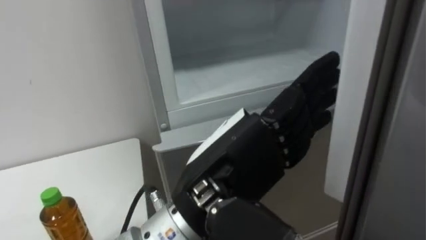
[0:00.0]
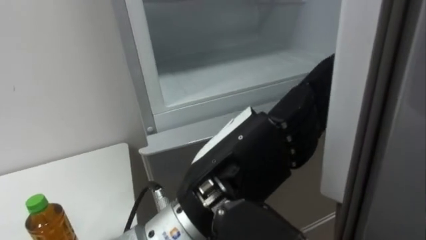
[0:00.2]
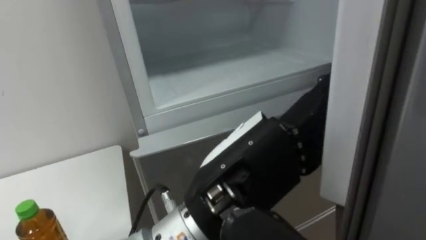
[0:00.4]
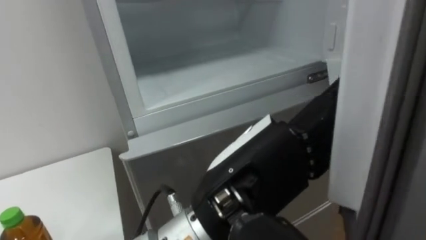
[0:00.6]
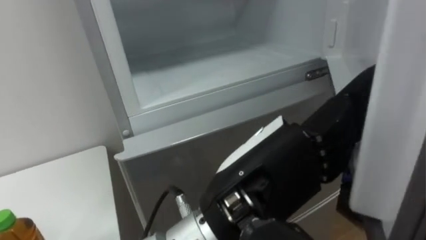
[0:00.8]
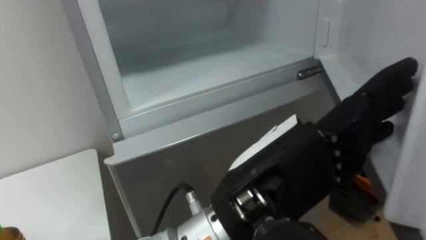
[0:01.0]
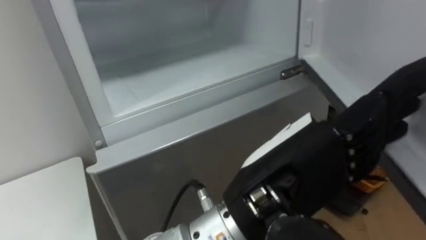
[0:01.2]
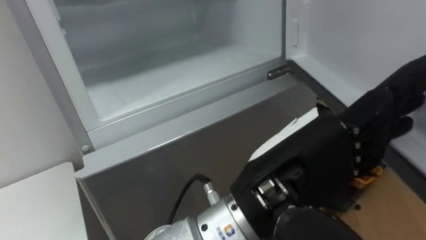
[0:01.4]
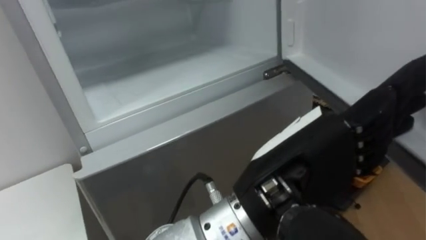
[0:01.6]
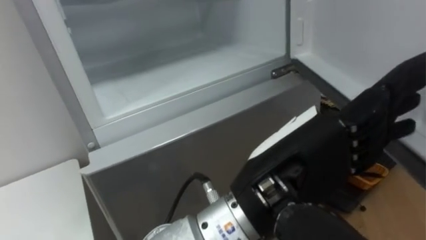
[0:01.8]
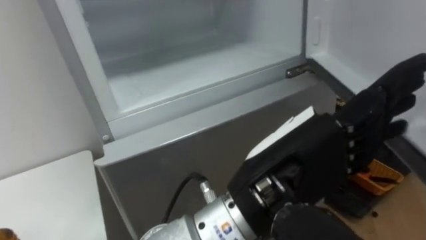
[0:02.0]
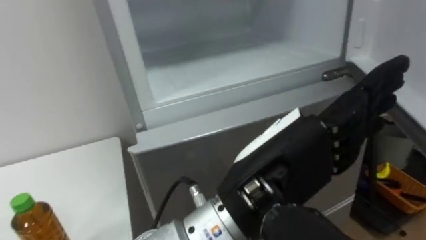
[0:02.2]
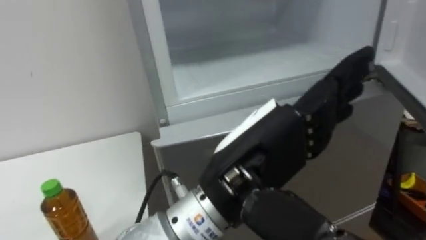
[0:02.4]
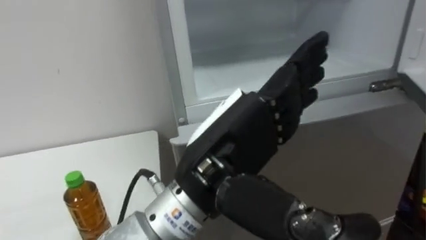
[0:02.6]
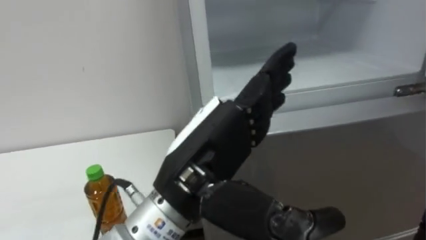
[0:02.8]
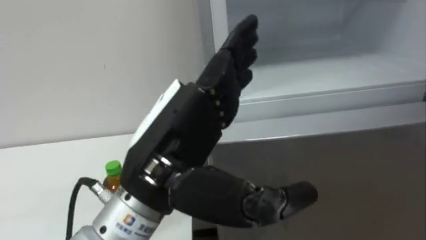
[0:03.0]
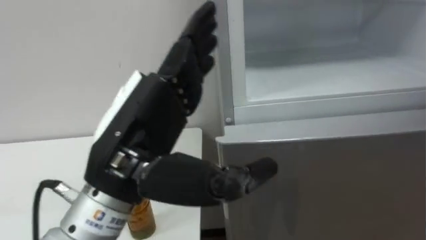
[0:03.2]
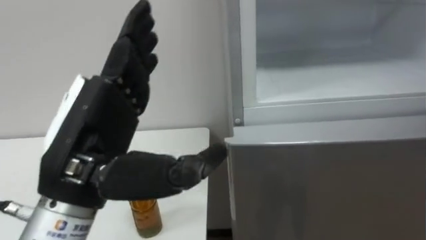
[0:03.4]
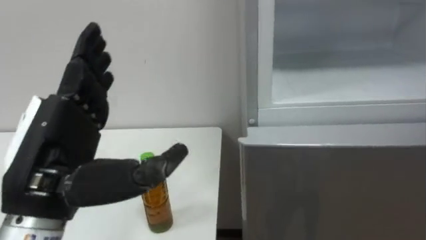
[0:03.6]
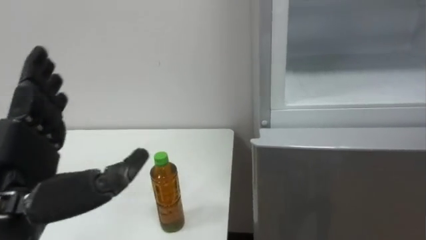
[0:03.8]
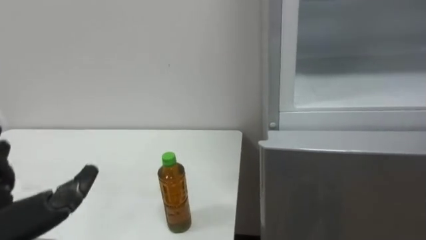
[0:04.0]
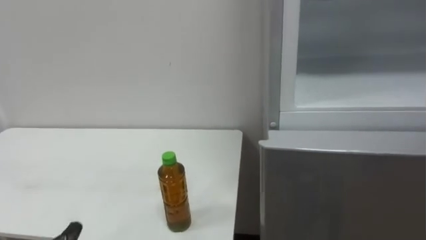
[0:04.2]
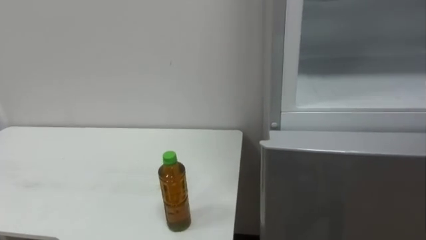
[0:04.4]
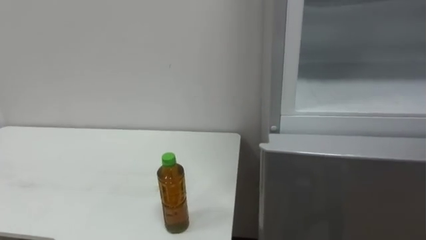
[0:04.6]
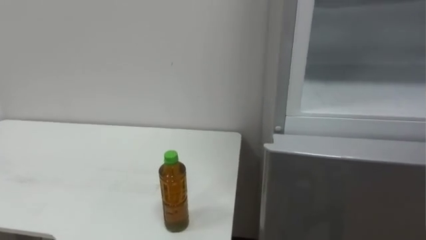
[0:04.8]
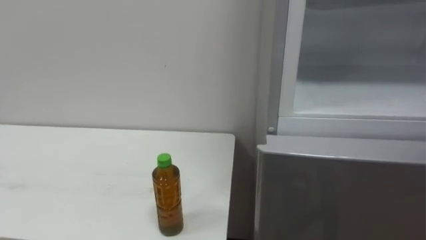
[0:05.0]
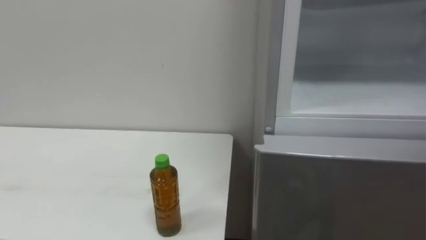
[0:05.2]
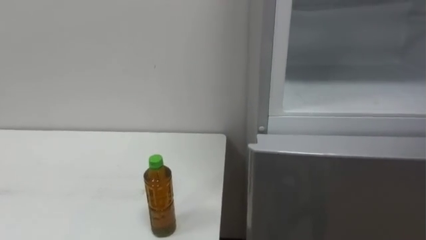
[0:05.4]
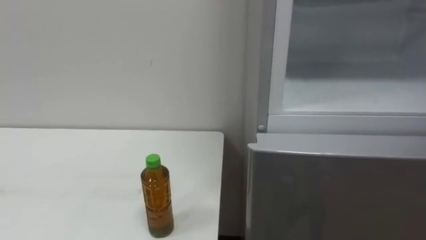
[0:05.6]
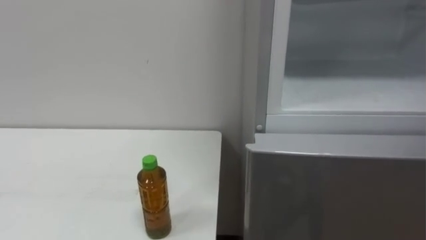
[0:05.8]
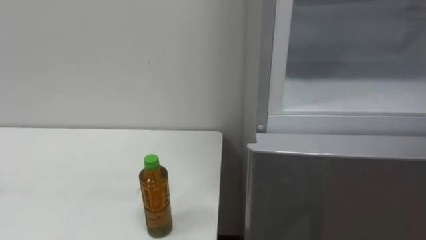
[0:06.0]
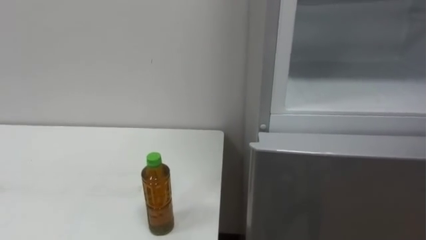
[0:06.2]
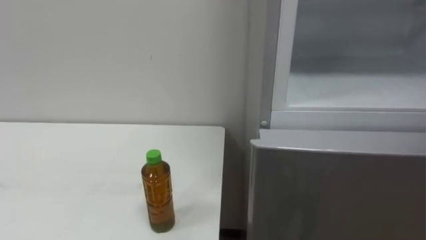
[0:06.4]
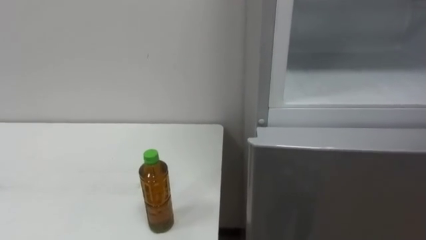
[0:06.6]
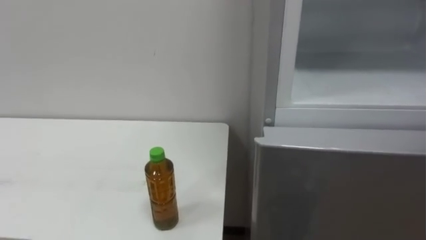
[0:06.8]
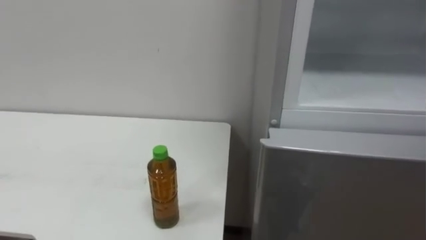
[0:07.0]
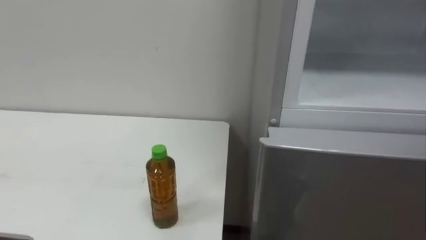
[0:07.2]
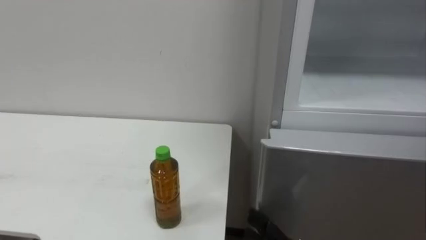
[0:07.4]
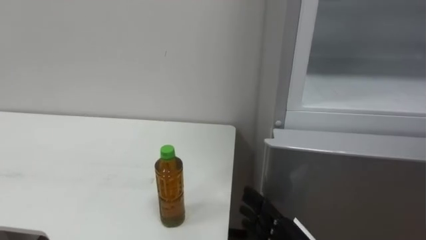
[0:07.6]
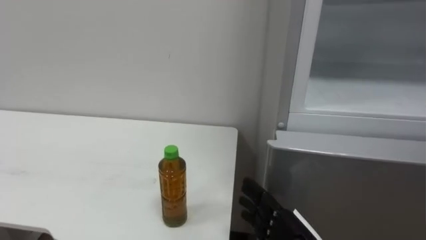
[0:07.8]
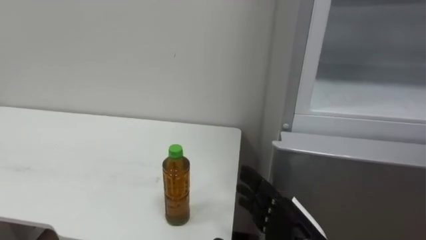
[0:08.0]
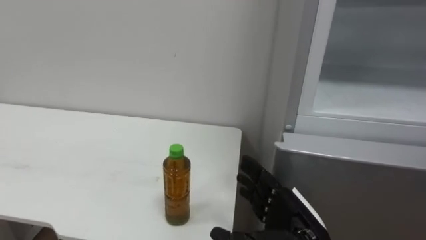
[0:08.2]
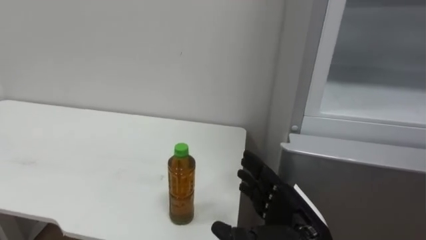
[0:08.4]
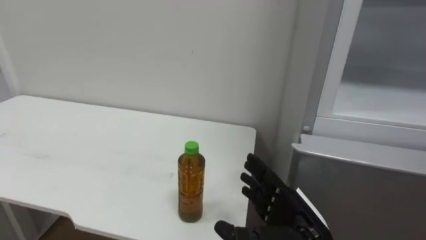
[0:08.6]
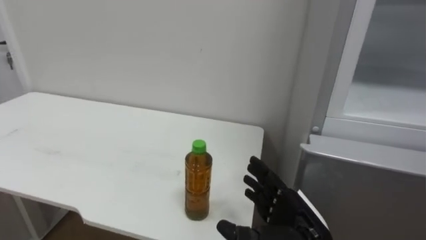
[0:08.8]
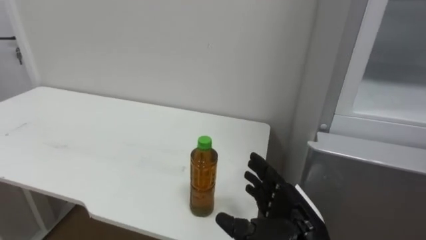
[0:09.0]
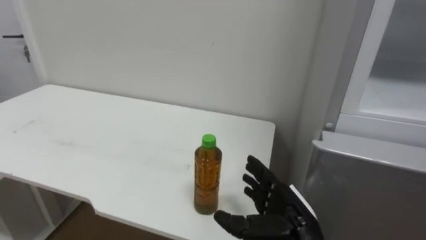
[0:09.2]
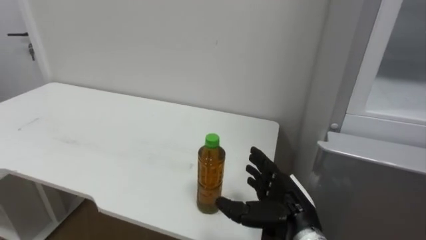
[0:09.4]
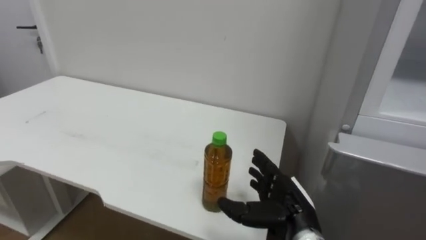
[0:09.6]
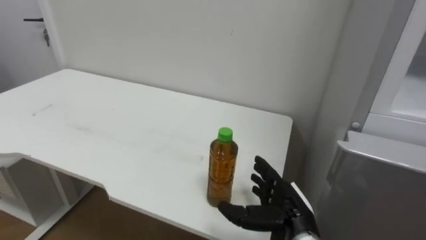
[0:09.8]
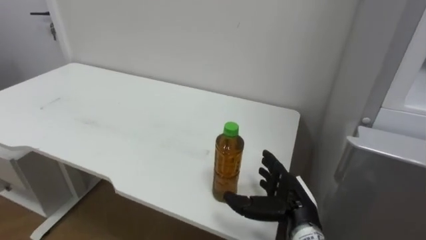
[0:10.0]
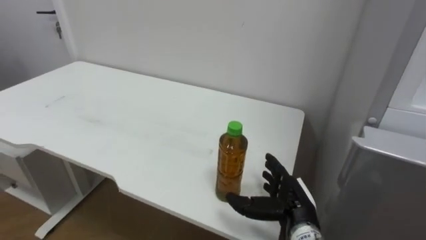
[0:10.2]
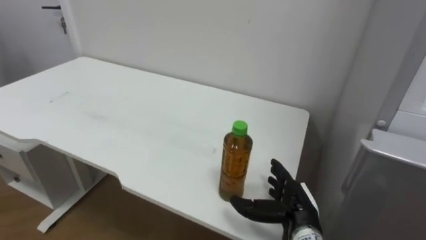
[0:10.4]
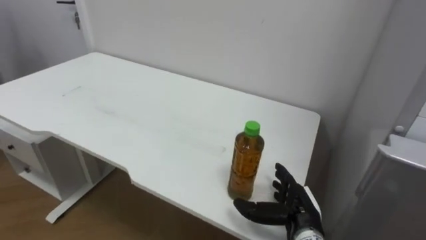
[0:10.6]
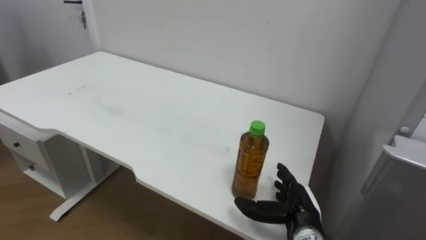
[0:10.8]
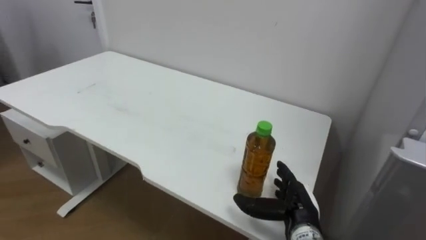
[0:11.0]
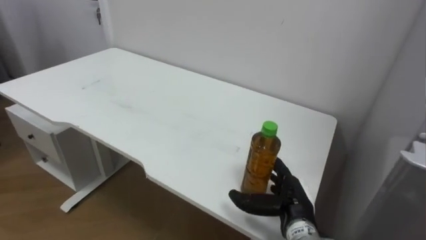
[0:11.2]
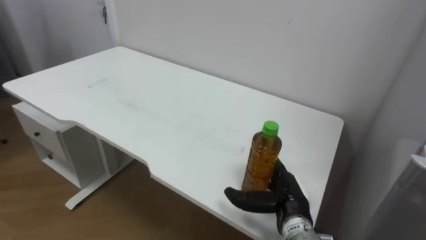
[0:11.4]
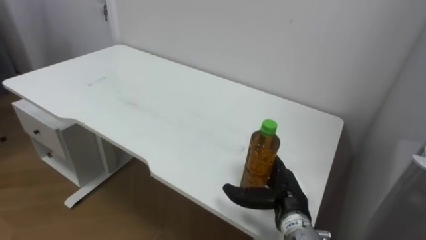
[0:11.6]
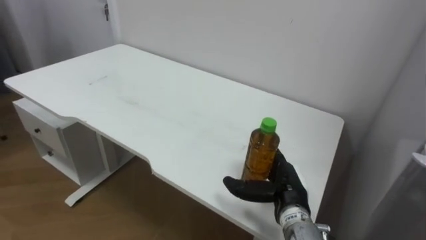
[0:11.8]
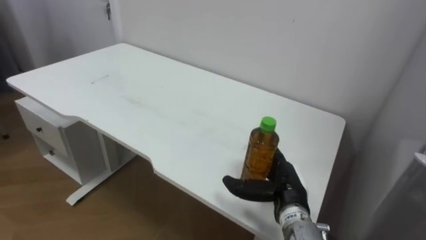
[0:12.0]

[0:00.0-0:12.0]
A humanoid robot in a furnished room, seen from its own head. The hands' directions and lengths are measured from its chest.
Task of the whole recording: Open the upper refrigerator door, put the drink from the table into the refrigerator, and then close the refrigerator door.
0:00.0 to 0:01.6: The left hand goes about 5 cm to the right.
0:01.6 to 0:03.0: The left hand is displaced to the left by approximately 10 cm.
0:09.0 to 0:10.4: The right hand travels forward by approximately 5 cm.

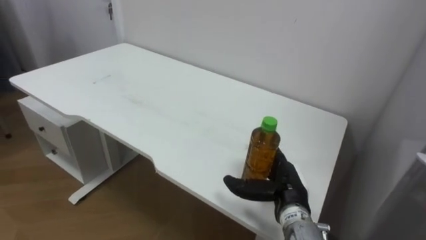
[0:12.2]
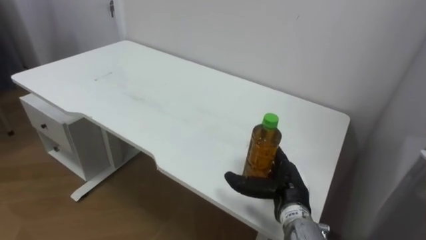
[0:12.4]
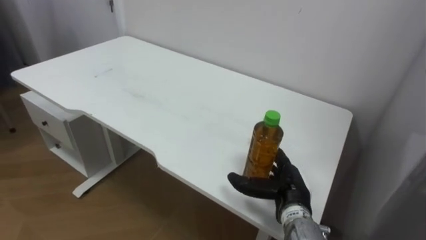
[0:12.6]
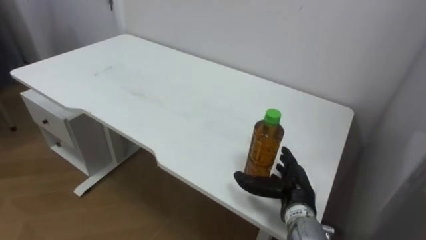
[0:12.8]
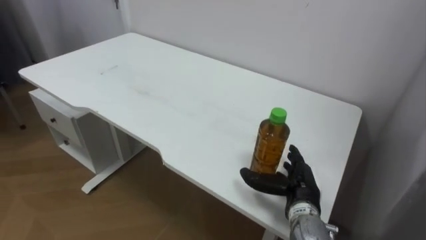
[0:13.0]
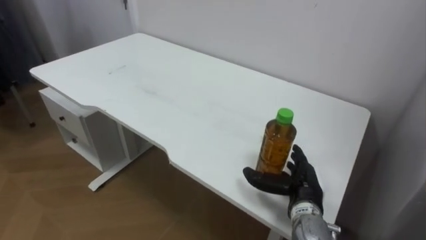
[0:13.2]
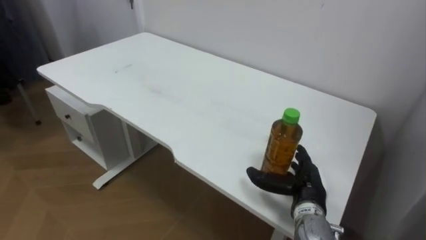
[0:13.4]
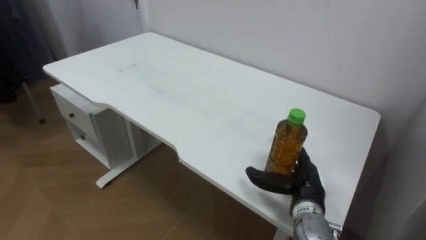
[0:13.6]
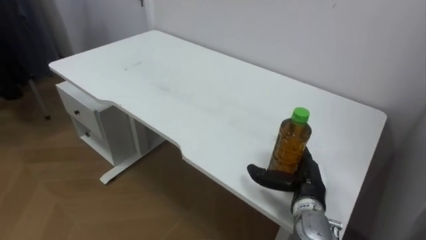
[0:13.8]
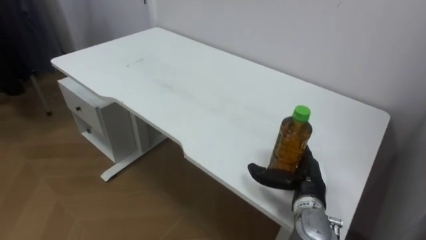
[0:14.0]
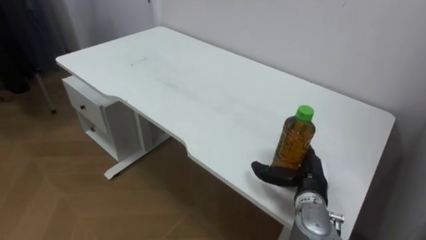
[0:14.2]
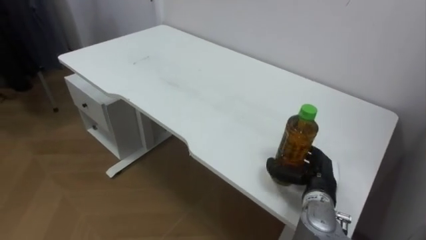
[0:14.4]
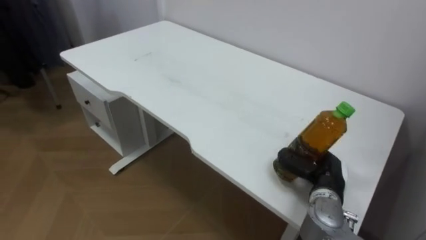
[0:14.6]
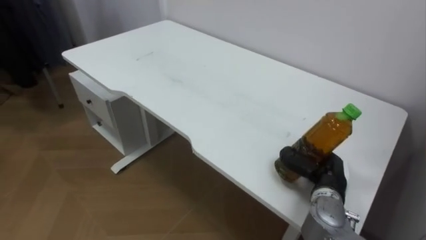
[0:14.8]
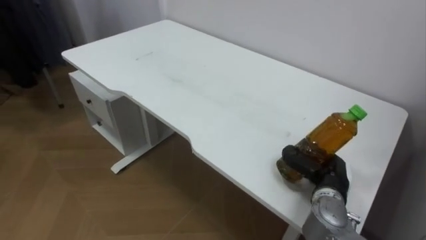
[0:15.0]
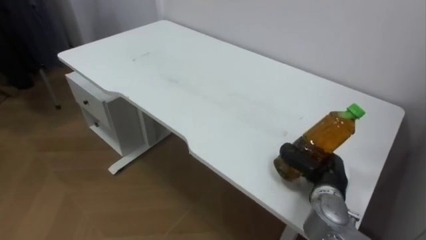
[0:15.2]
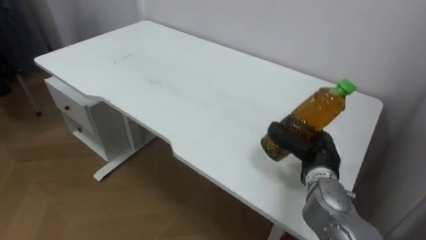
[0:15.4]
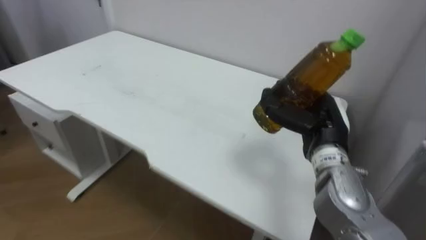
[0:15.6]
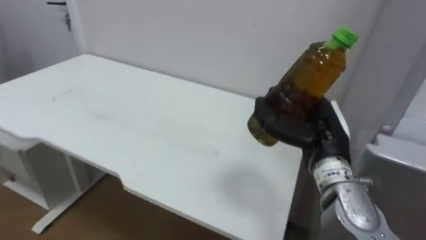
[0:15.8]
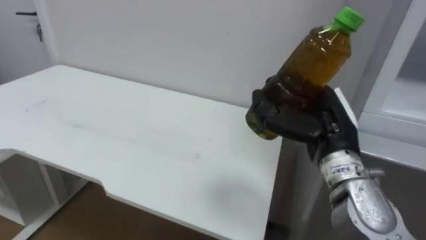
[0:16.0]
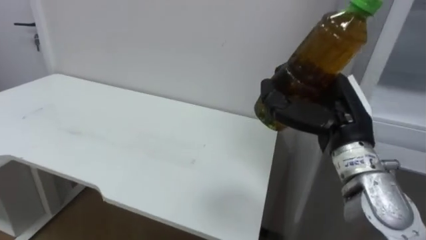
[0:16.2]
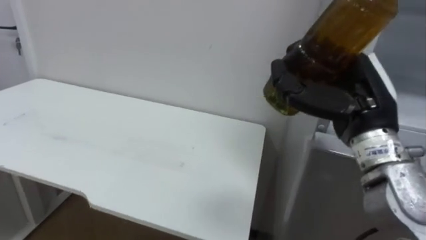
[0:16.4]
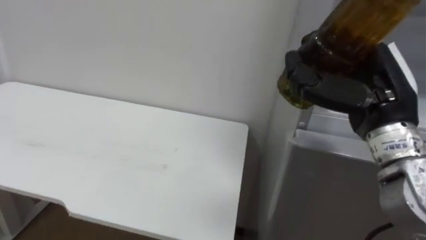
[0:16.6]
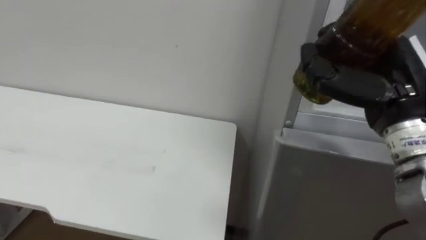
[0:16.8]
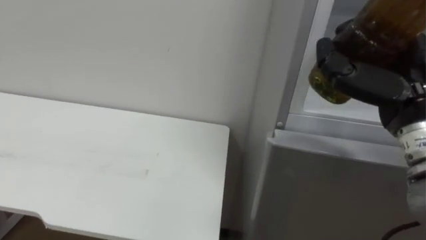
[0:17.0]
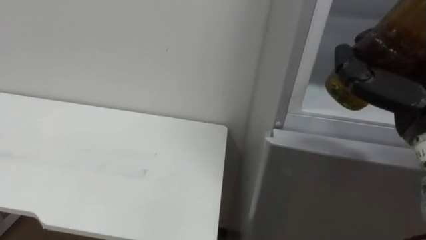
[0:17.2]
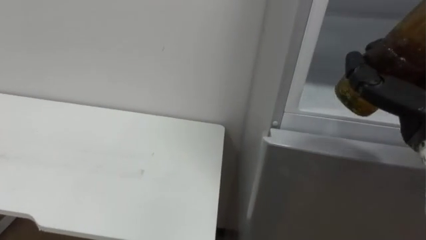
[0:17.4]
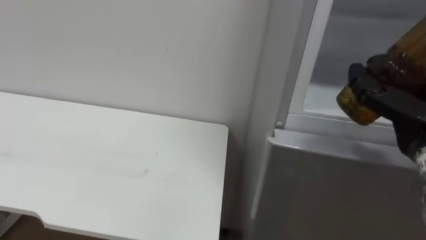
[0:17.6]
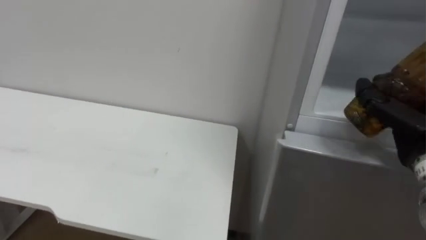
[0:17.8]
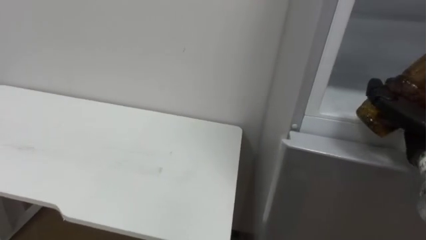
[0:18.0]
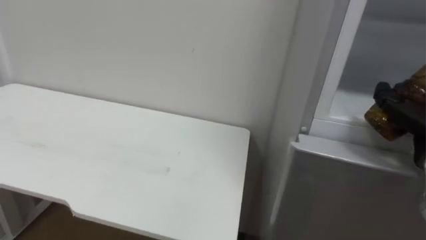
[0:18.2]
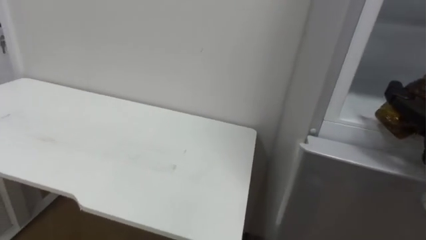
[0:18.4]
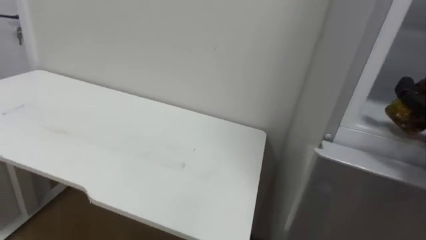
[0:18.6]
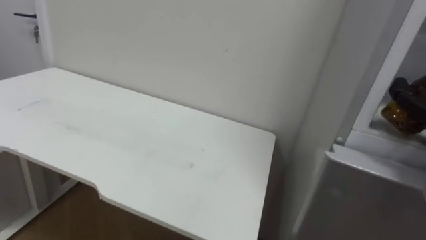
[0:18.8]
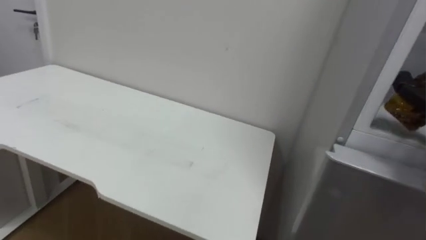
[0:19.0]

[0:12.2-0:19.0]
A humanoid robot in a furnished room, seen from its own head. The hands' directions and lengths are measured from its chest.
Task of the whole recording: Open the upper refrigerator door, put the drink from the table into the refrigerator, and then close the refrigerator door.
0:13.6 to 0:15.0: The right hand closes its fingers.
0:15.0 to 0:16.2: The right hand travels upward by approximately 15 cm.
0:16.2 to 0:17.6: The right hand is displaced to the right by about 10 cm.
